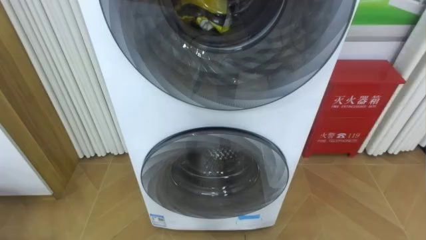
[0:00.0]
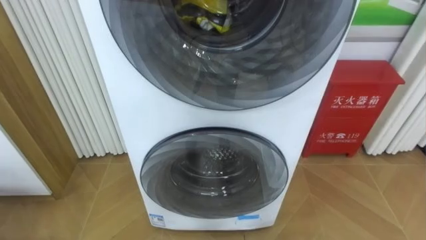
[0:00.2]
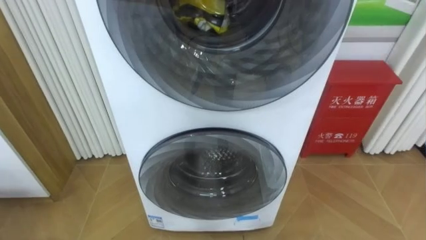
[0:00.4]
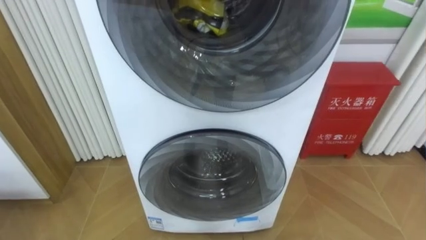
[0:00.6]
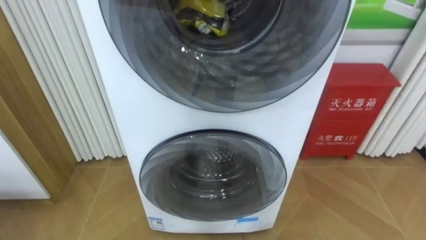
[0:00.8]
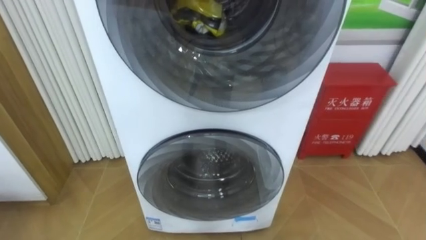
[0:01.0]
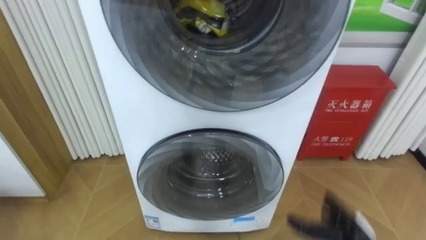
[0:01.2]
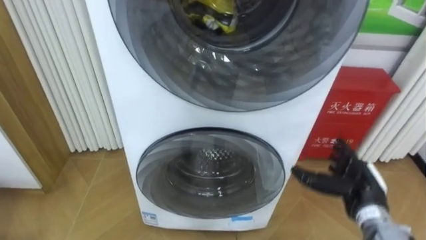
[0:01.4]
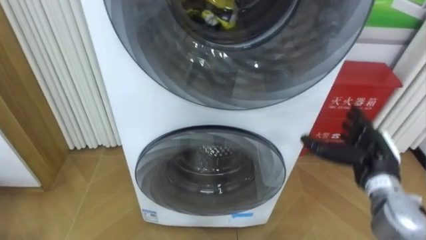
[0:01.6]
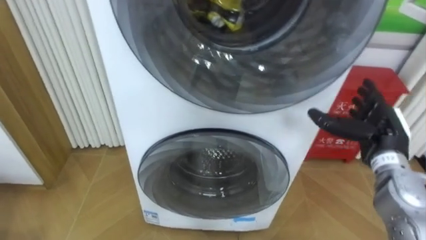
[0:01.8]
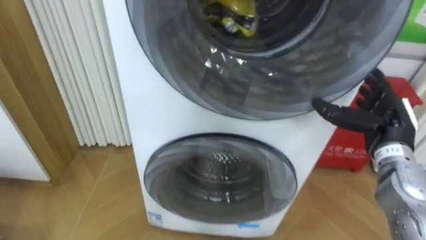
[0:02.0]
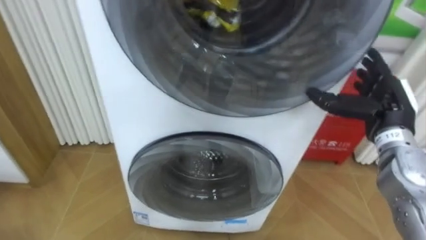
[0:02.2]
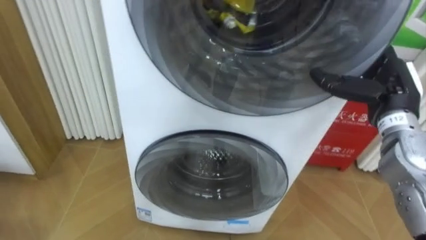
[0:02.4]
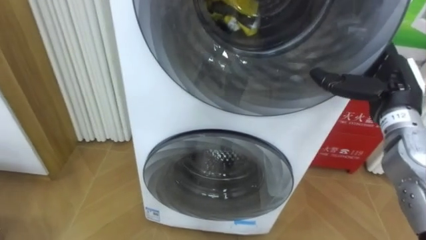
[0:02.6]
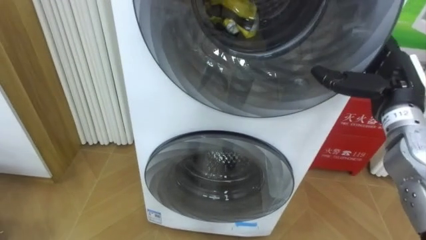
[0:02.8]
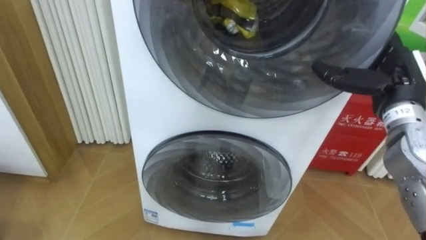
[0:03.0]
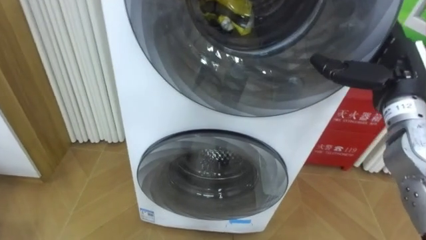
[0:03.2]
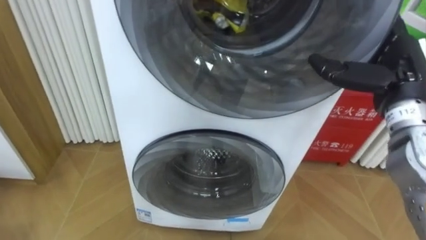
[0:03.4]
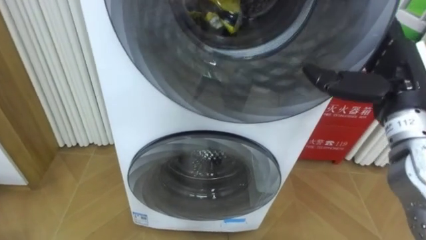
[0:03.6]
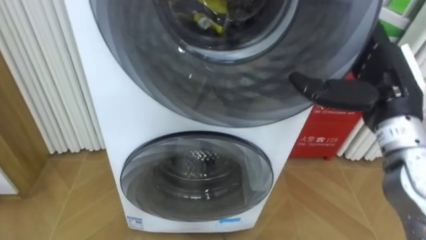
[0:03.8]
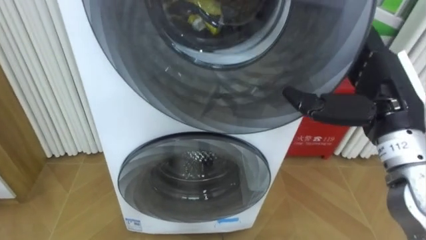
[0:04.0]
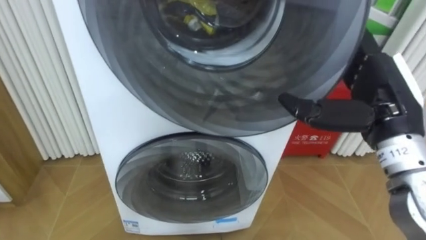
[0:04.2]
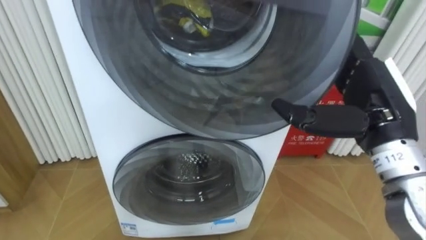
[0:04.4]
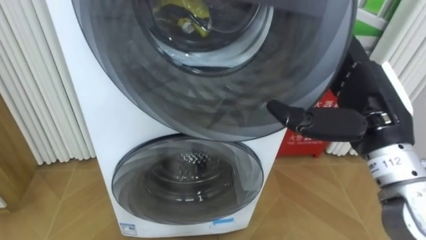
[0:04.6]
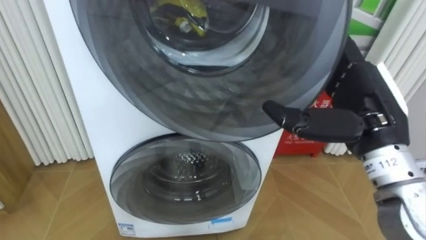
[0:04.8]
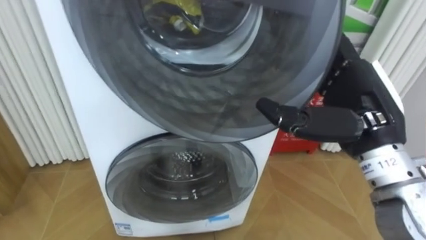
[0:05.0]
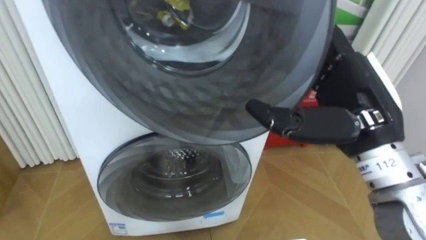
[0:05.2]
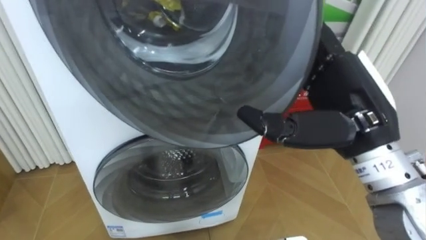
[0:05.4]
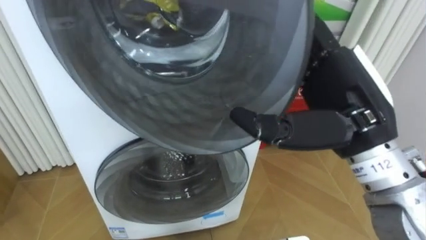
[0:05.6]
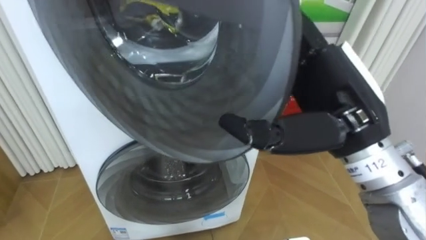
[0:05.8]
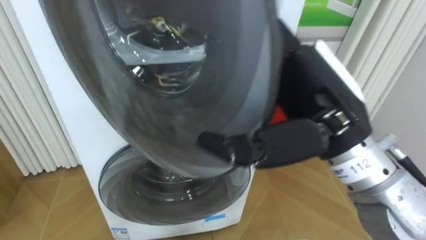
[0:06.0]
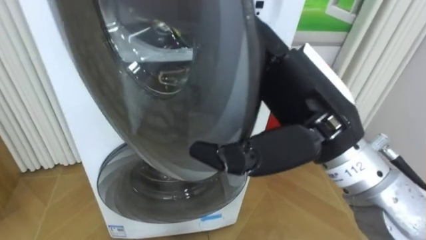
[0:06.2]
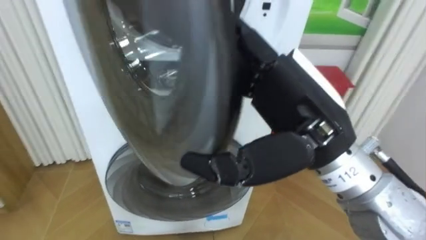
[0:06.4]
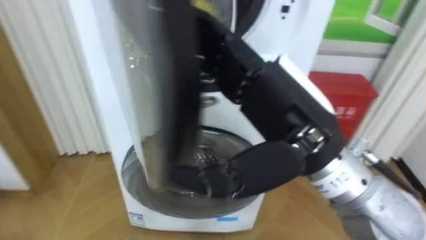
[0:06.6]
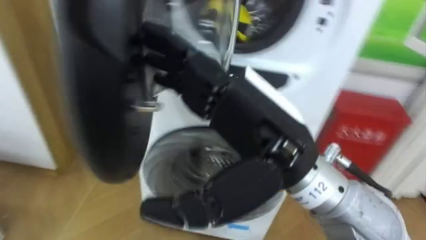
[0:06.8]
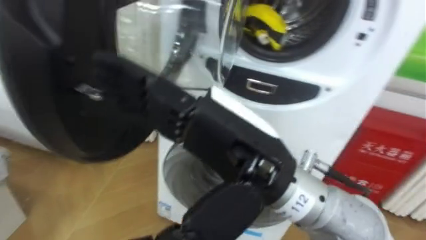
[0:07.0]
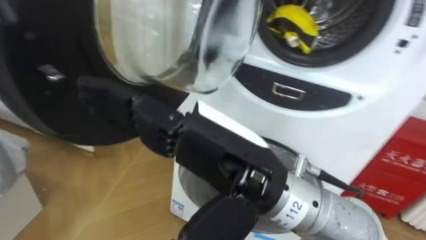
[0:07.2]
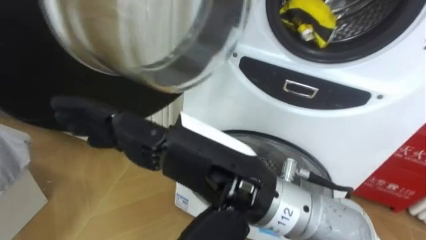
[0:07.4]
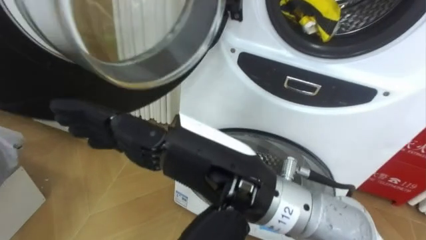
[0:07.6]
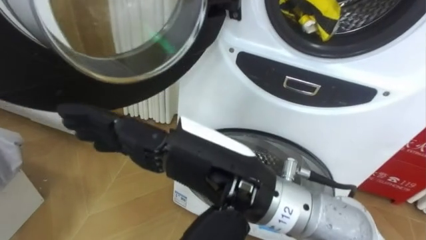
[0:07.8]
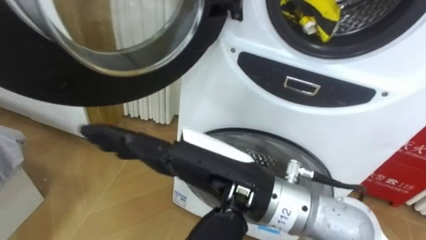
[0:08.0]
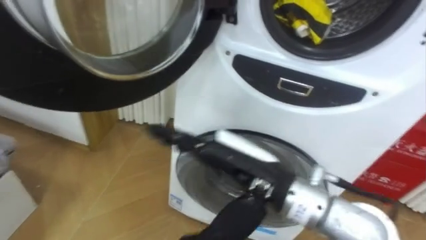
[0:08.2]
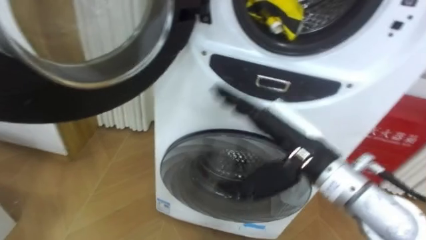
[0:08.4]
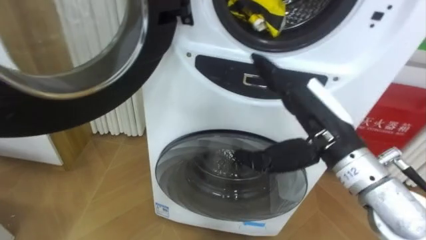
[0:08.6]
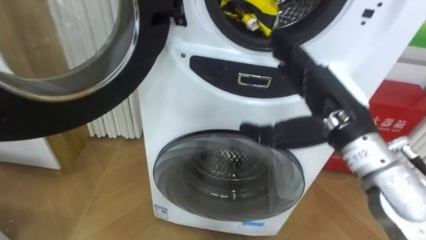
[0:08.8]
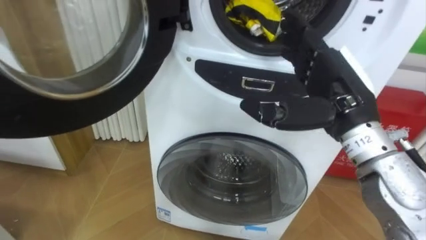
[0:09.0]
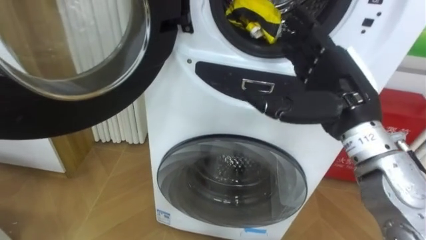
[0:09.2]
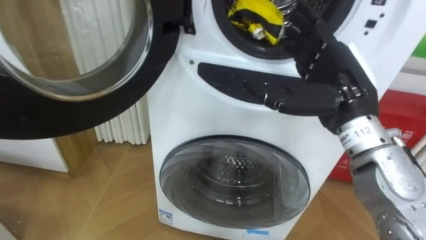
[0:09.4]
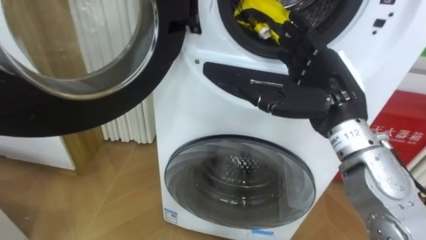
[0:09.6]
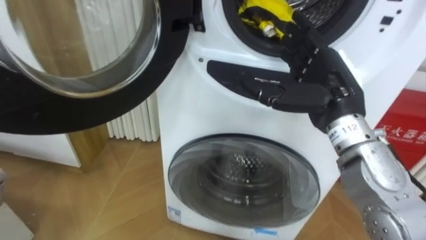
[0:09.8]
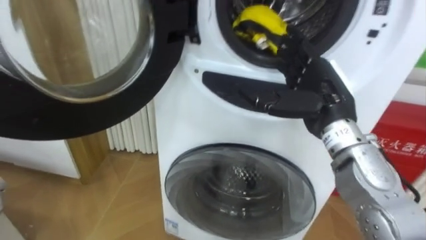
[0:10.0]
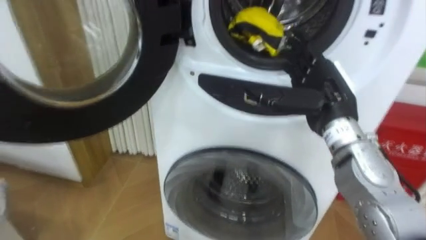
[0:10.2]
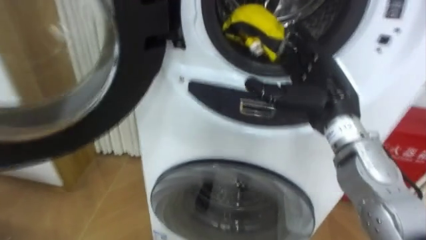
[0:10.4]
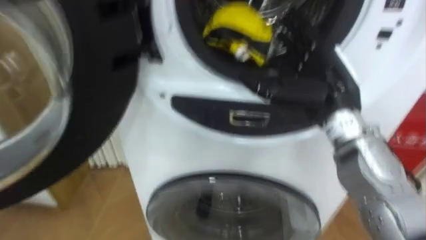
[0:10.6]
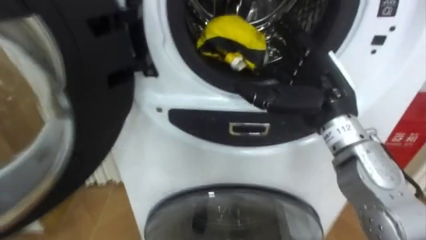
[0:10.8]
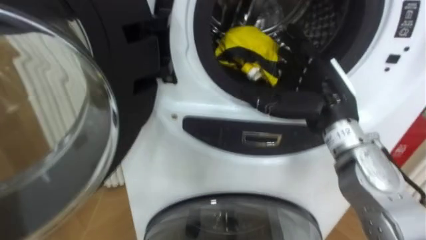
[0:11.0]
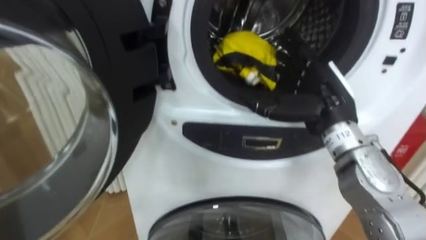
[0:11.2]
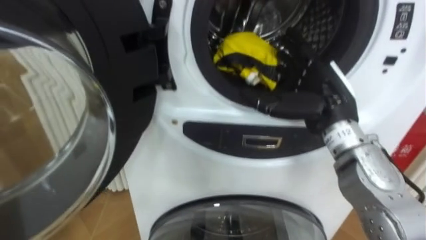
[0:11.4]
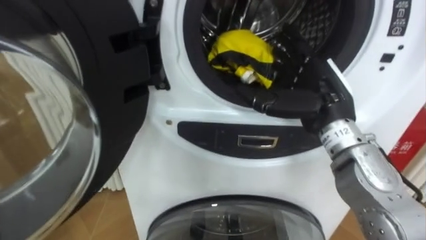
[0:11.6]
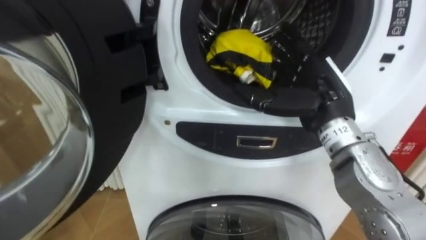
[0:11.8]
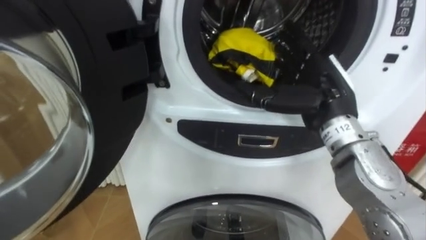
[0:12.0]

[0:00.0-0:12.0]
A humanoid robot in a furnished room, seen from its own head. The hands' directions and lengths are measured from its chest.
Task of the whole recording: Open the washing machine door, take out the yellow clothes, place them in the box on the right, and close the washing machine door.
0:01.6 to 0:03.0: The right hand travels upward by approximately 15 cm.
0:03.0 to 0:04.4: The right hand heads backward and to the left, covering approximately 10 cm.
0:04.4 to 0:06.0: The right hand heads to the left, covering some 10 cm.
0:06.0 to 0:07.6: The right hand shifts approximately 15 cm to the left and backward.
0:07.6 to 0:09.0: The right hand travels to the right and forward by some 20 cm.
0:09.0 to 0:10.4: The right hand changes place by roughly 5 cm.

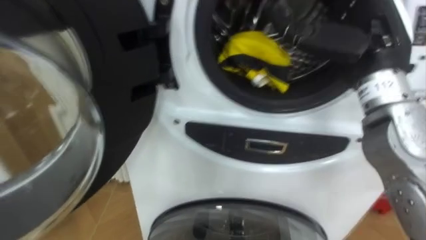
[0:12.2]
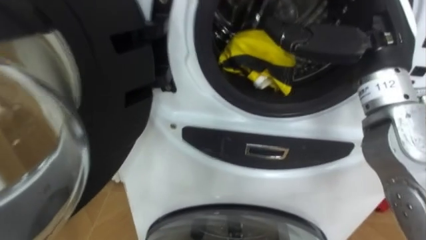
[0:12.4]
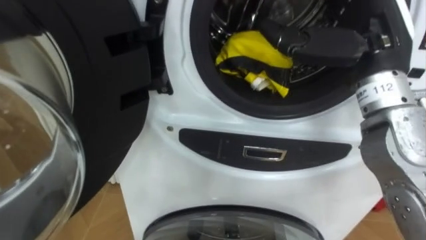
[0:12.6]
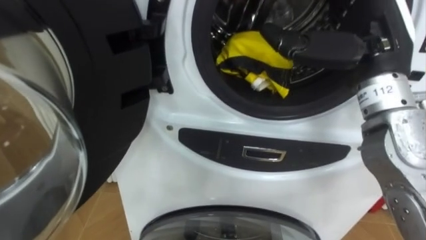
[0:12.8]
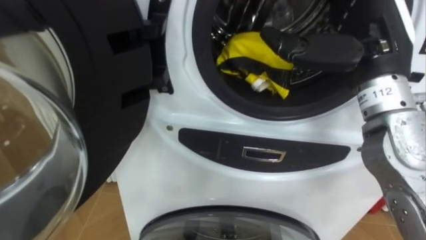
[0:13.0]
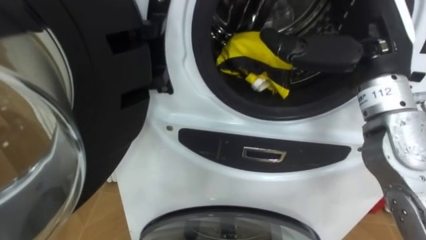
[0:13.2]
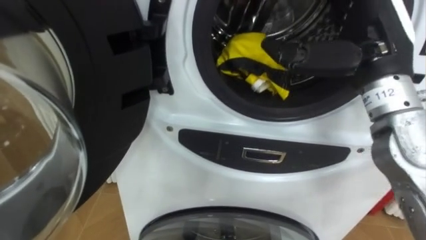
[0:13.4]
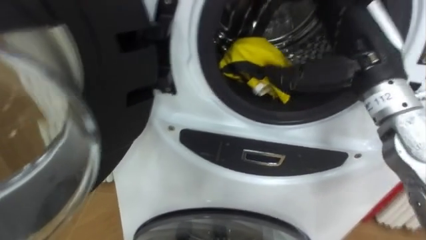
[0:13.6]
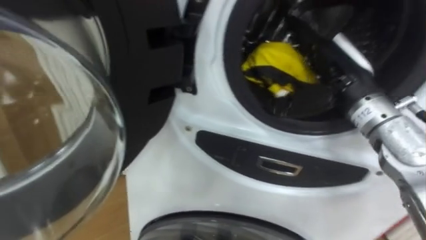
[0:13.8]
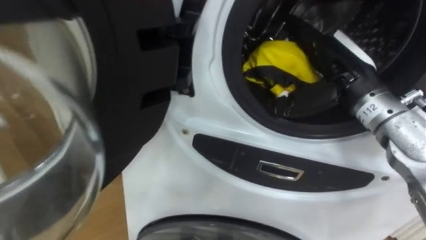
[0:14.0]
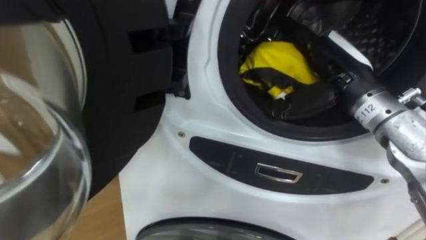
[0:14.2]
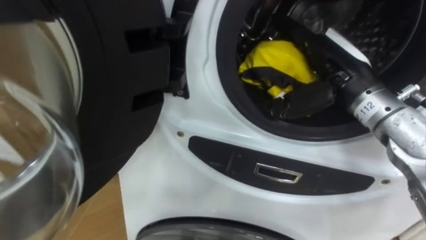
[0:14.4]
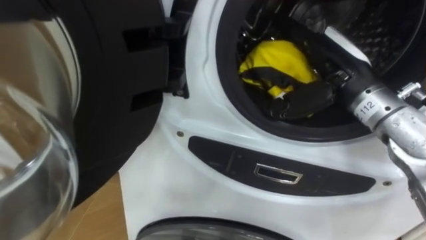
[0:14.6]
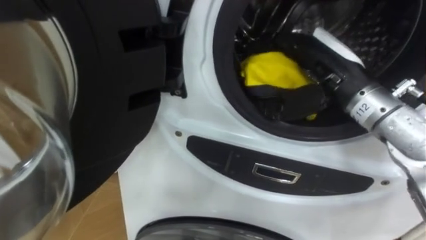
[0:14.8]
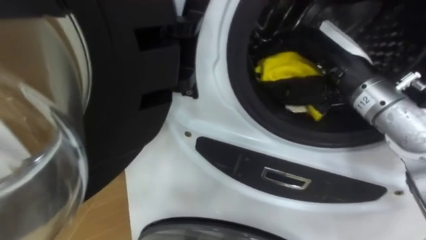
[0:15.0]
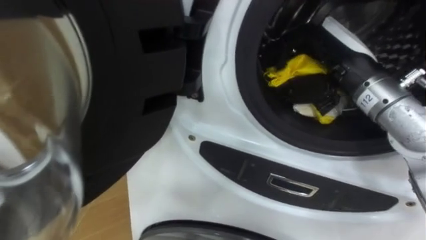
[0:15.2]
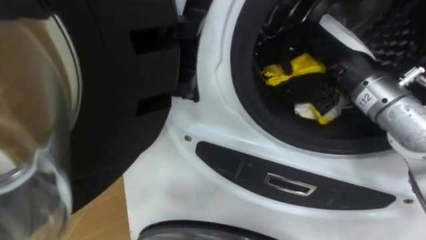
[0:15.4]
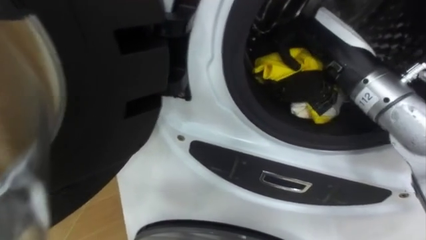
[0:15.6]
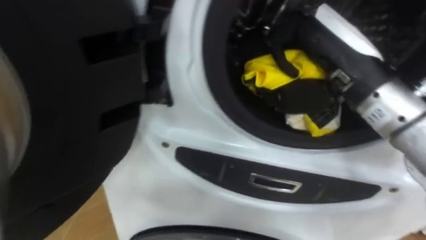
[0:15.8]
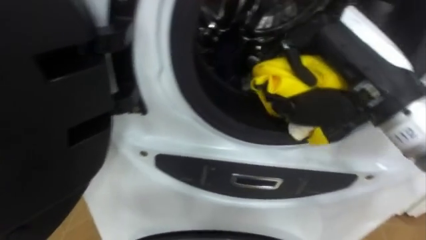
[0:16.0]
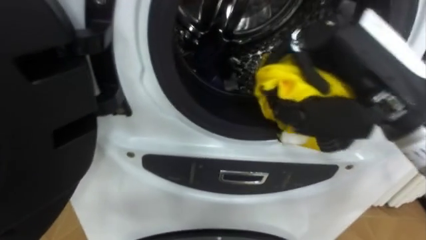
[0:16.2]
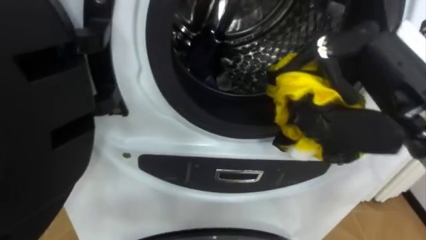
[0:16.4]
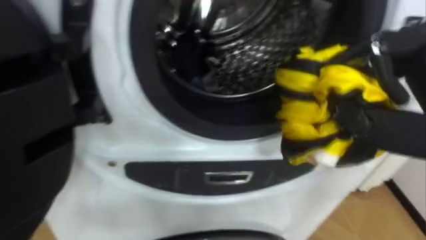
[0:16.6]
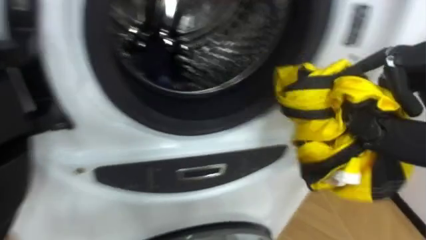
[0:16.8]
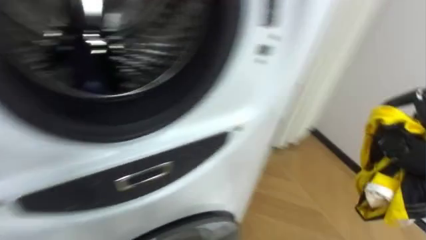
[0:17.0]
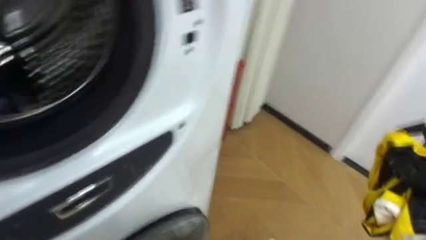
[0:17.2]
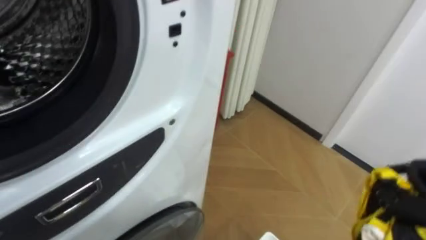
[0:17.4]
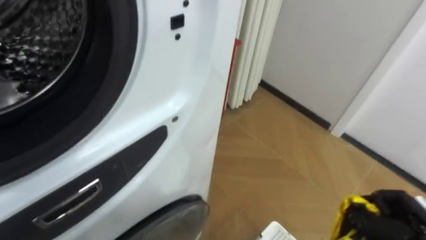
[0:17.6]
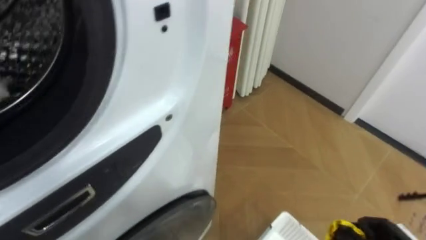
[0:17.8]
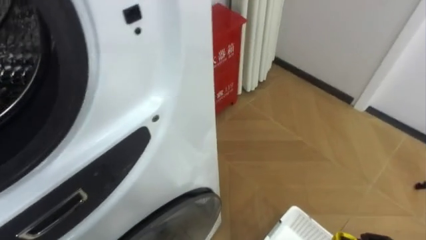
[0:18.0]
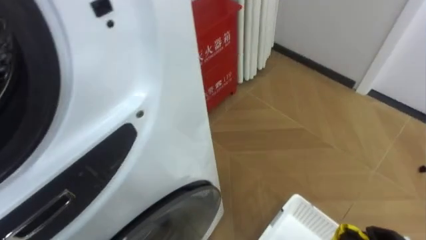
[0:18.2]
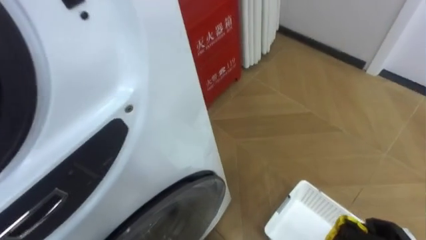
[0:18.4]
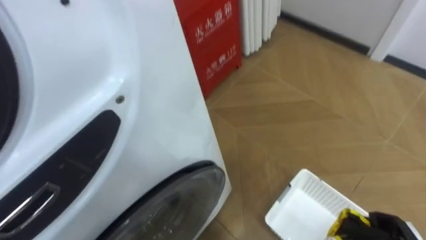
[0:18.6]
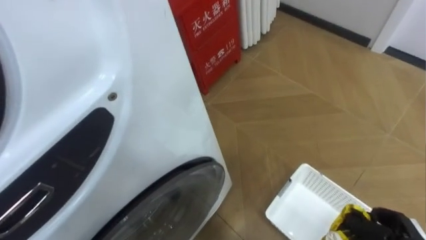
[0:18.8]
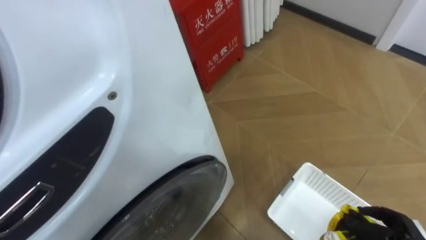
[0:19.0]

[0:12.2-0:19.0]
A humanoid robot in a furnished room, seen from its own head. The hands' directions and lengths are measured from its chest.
Task of the whole recording: Open the washing machine door, take out the yellow clothes, place them in the box on the right, and close the washing machine door.
0:13.6 to 0:15.0: The right hand closes.
0:15.0 to 0:16.2: The right hand travels backward by approximately 10 cm.
